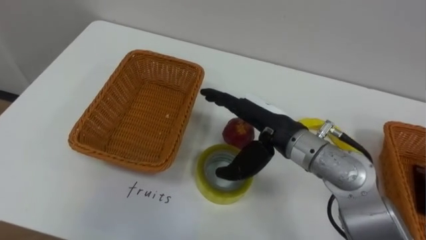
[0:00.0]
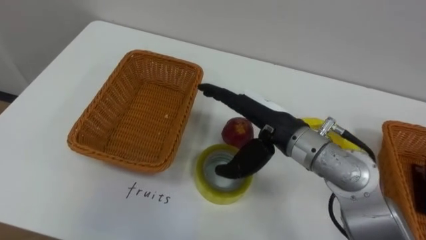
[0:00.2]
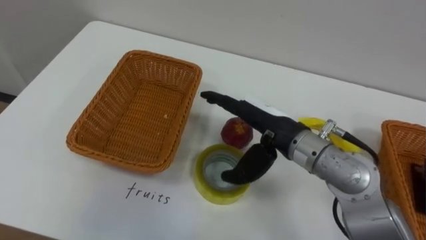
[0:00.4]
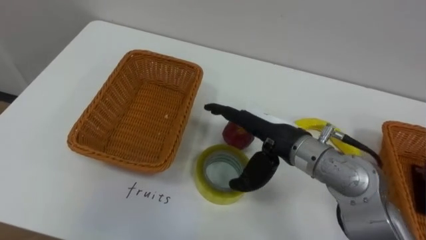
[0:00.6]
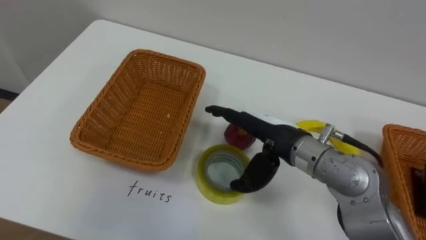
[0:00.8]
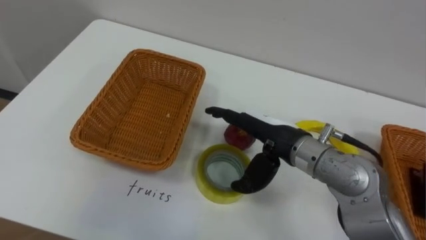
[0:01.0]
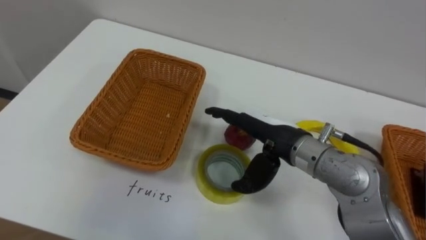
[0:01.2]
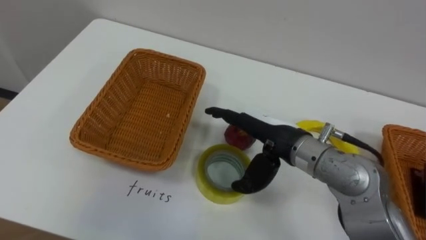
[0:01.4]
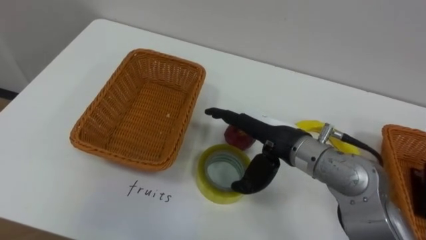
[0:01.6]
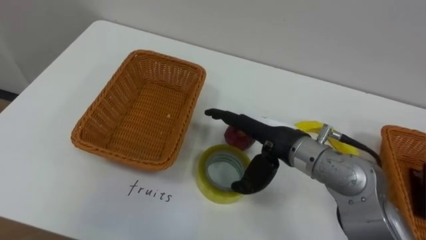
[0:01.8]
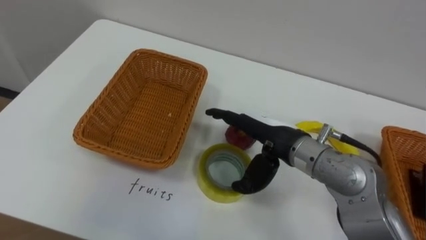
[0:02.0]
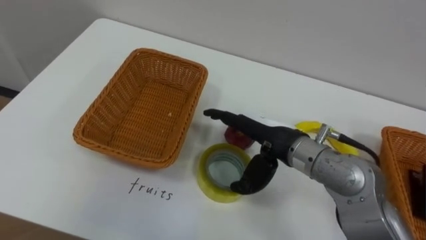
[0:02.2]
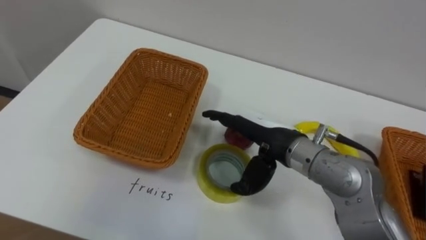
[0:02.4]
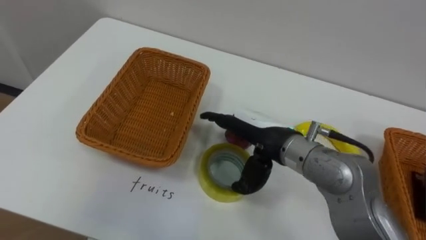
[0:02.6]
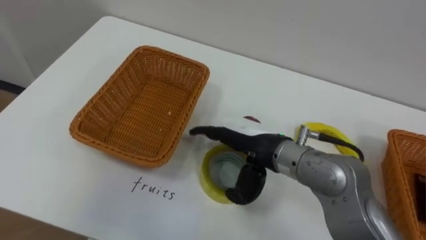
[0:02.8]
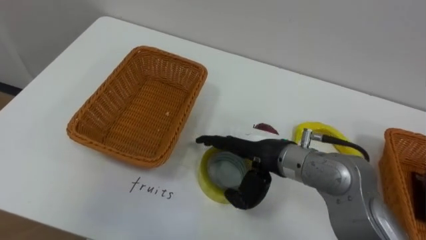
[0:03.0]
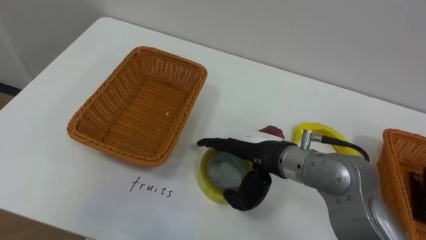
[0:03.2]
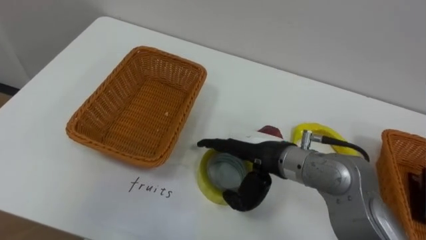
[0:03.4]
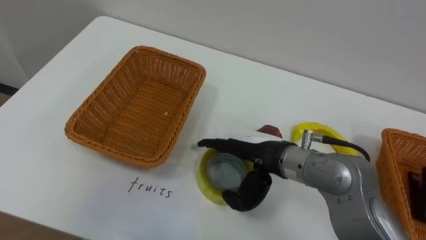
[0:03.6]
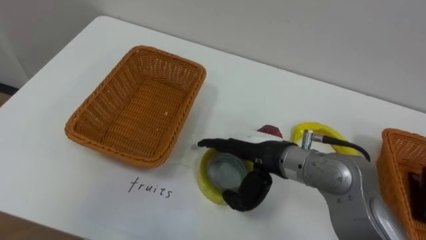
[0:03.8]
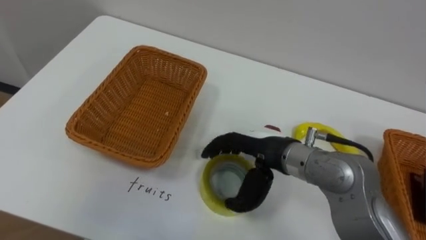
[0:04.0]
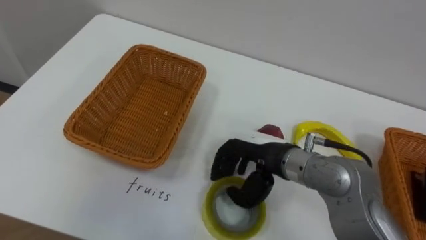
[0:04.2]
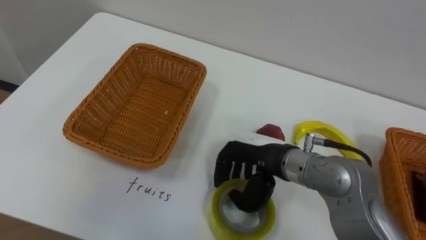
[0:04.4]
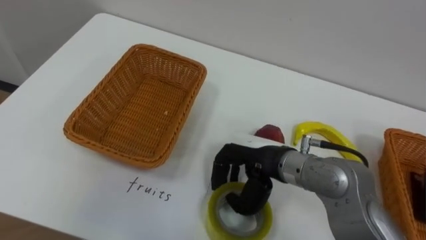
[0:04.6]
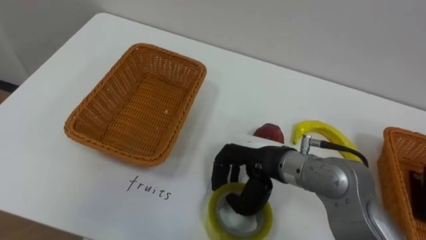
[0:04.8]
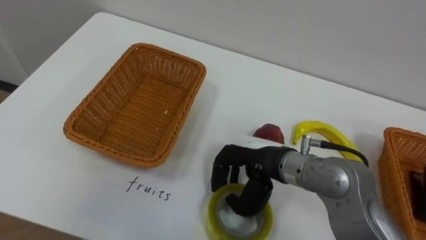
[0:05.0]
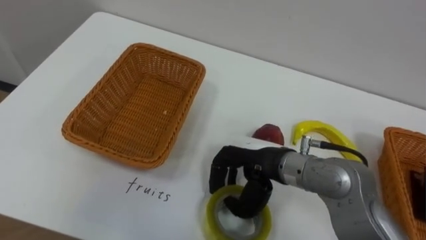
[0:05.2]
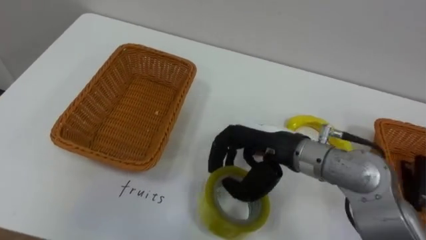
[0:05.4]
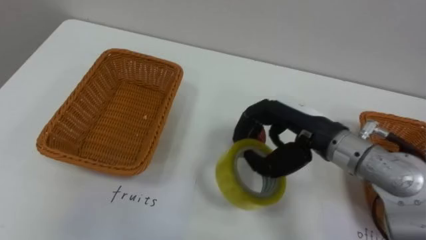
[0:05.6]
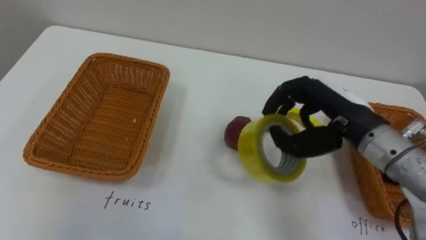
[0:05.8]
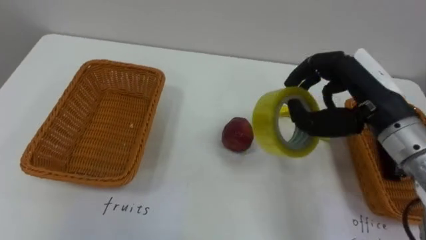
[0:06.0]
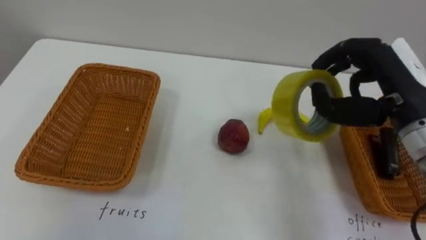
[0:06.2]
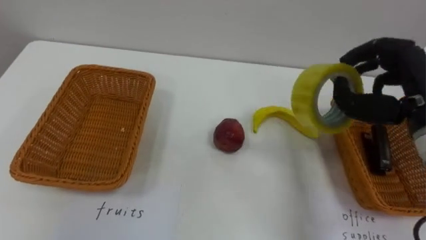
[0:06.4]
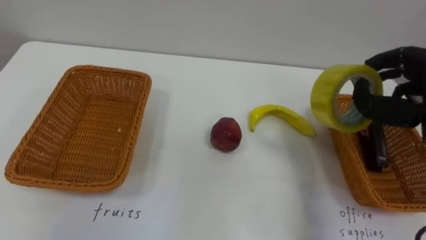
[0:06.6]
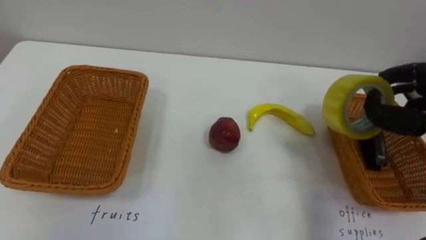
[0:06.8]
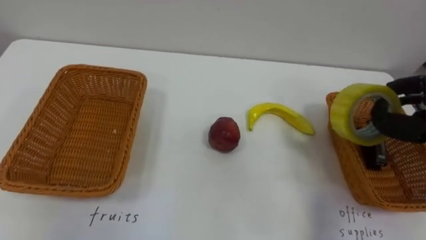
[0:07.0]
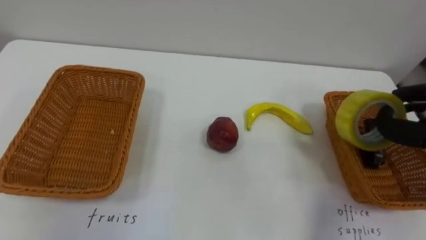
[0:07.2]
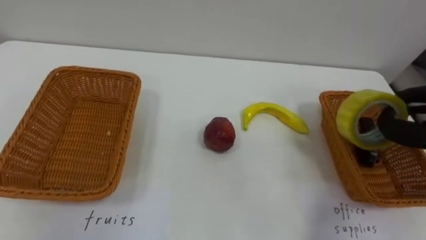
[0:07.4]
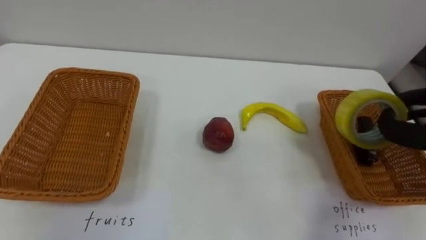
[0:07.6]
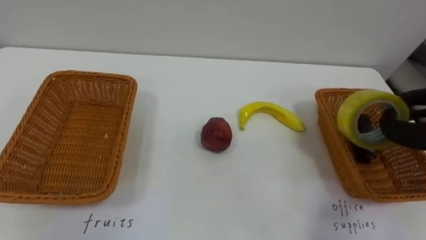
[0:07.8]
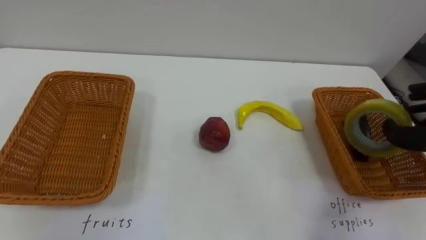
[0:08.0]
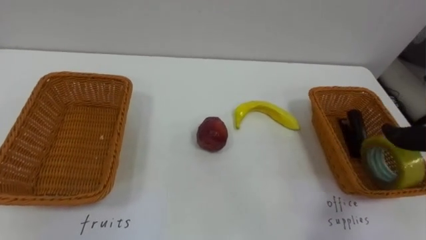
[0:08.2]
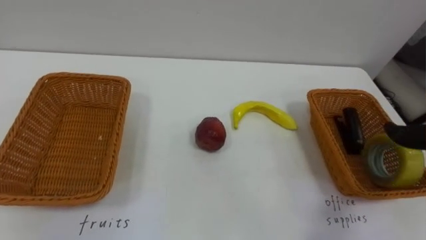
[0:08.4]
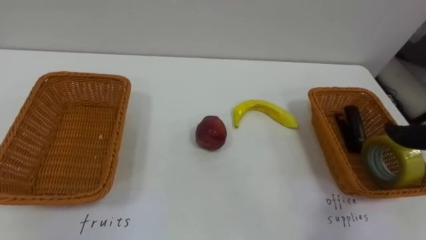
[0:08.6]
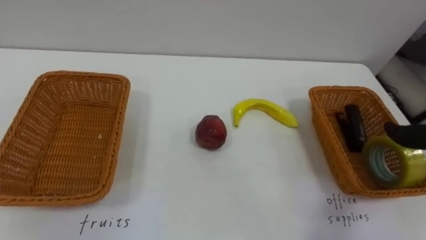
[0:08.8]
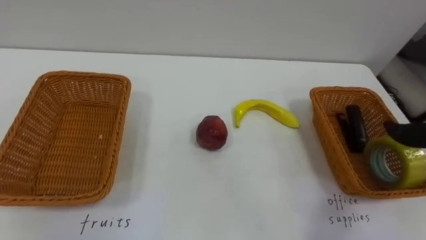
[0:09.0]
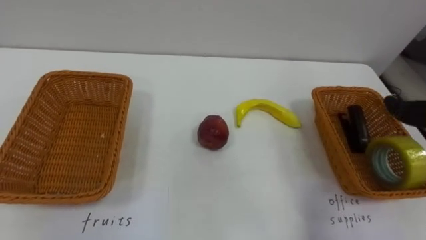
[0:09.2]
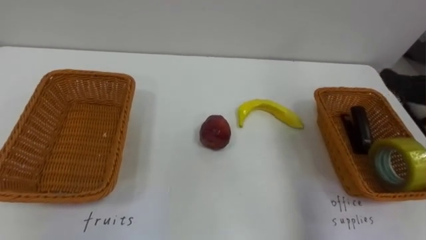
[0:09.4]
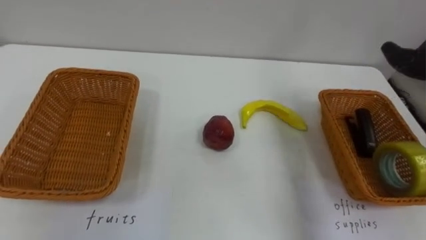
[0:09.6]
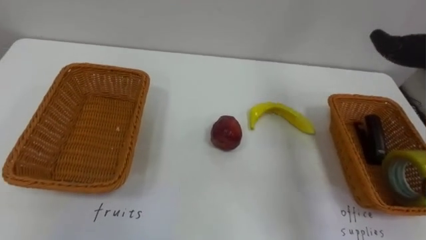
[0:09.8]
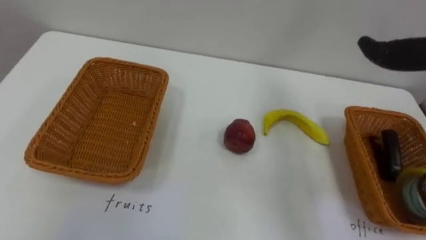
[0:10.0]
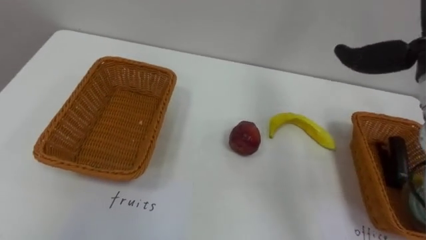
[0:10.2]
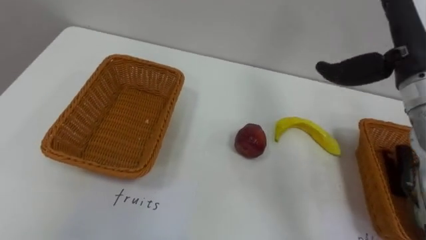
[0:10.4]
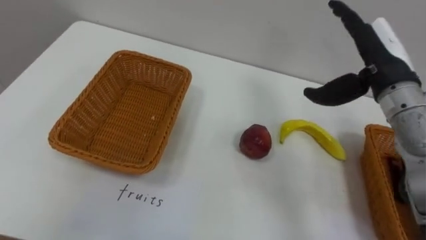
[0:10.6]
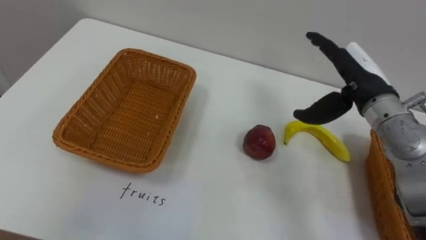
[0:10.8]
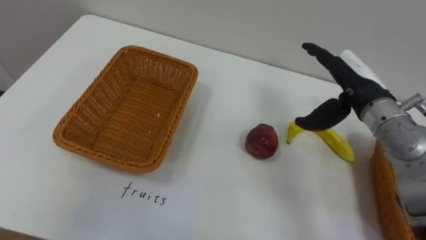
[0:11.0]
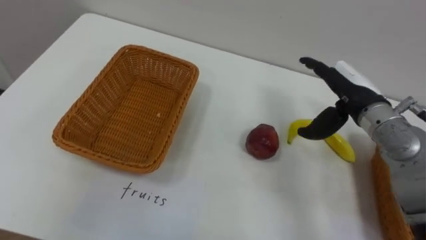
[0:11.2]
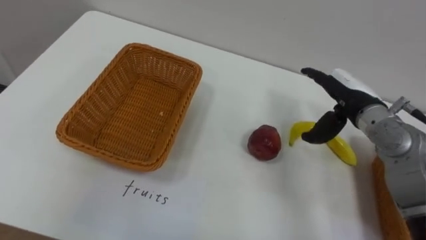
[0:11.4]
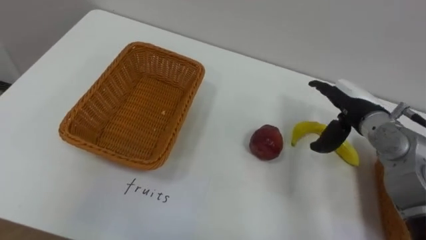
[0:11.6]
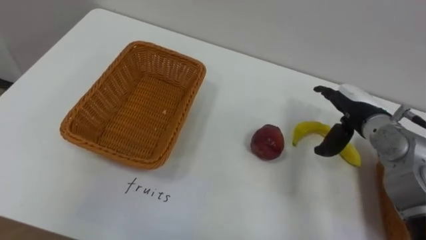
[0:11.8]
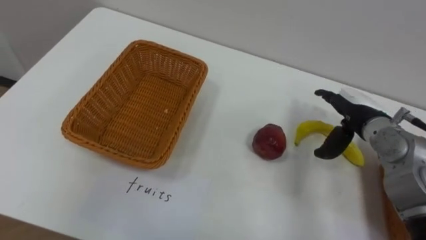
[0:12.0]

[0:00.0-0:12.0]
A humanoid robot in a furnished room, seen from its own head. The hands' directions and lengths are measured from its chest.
Task of the whole recording: Separate the items on the table and place them into the two baskets.
0:03.0 to 0:04.4: The right hand closes its fingers.
0:04.4 to 0:06.0: The right hand travels to the right and upward by approximately 15 cm.
0:10.4 to 0:12.0: The right hand is displaced downward by some 15 cm.

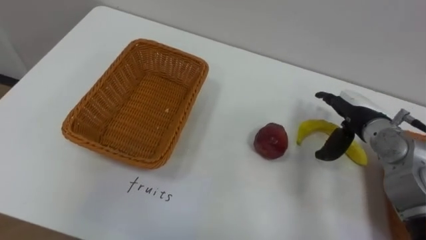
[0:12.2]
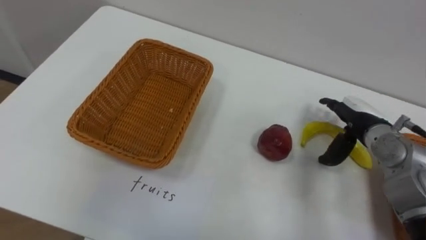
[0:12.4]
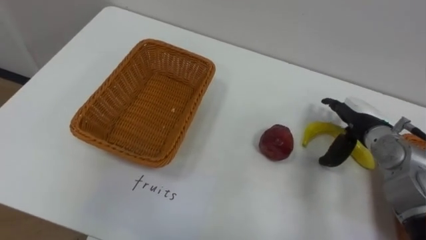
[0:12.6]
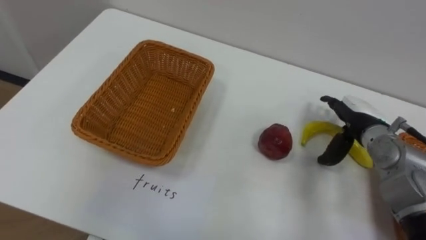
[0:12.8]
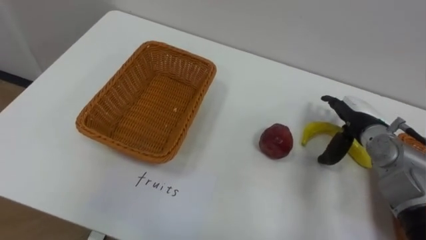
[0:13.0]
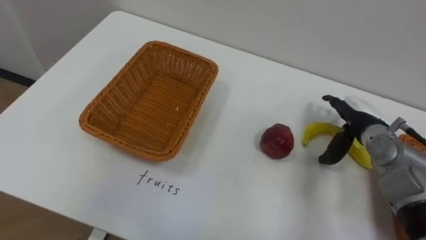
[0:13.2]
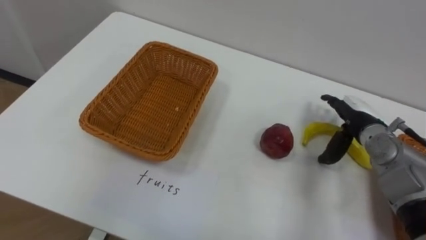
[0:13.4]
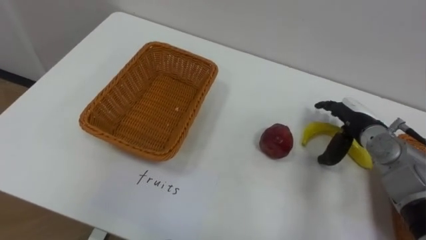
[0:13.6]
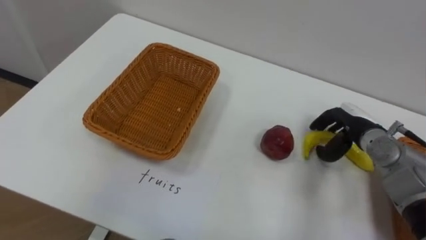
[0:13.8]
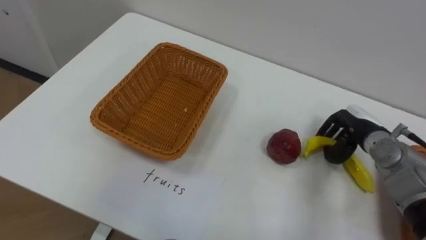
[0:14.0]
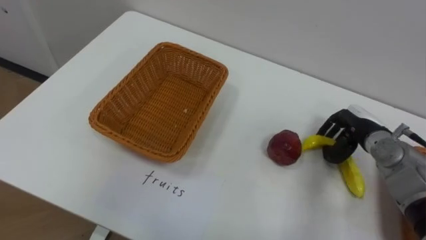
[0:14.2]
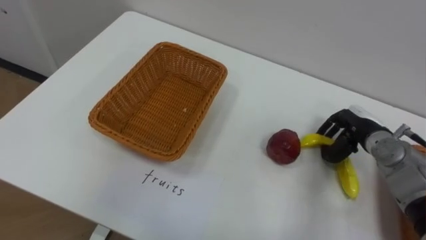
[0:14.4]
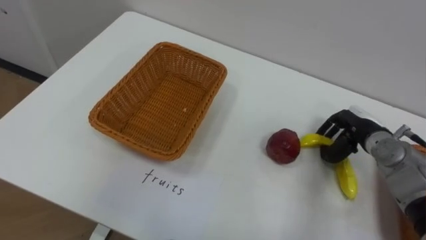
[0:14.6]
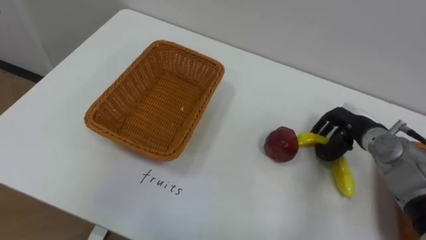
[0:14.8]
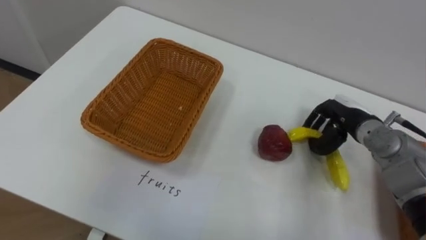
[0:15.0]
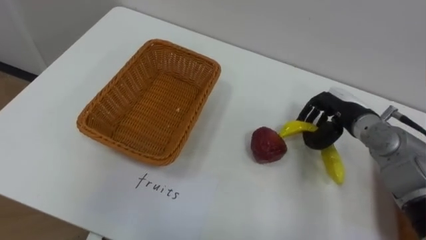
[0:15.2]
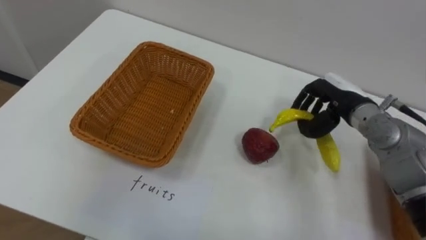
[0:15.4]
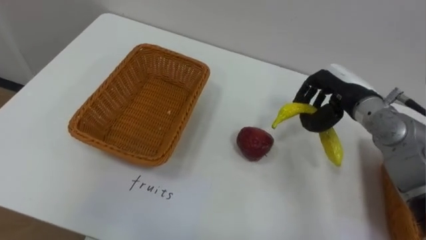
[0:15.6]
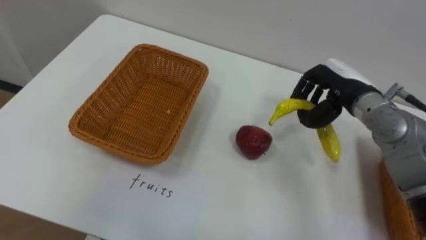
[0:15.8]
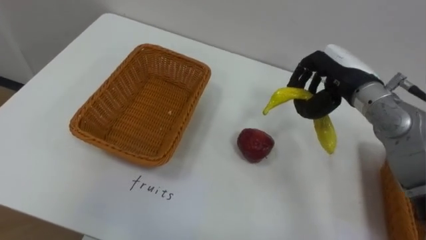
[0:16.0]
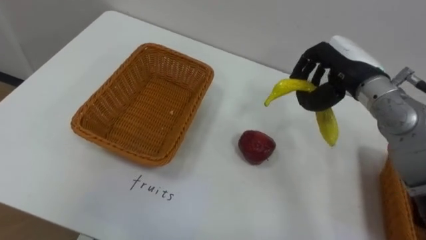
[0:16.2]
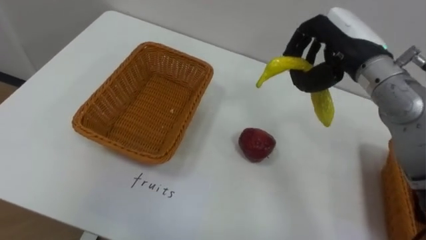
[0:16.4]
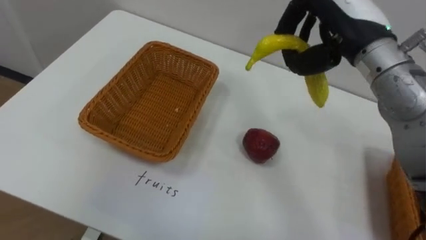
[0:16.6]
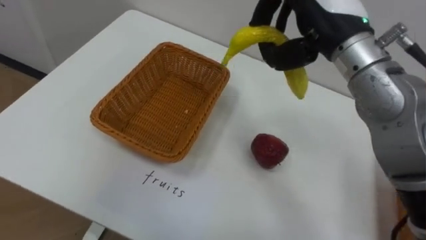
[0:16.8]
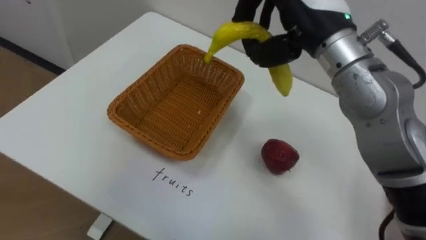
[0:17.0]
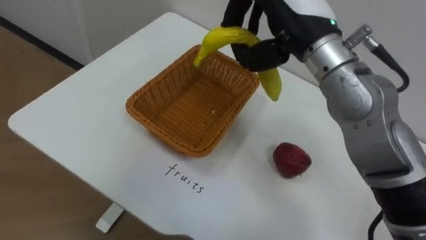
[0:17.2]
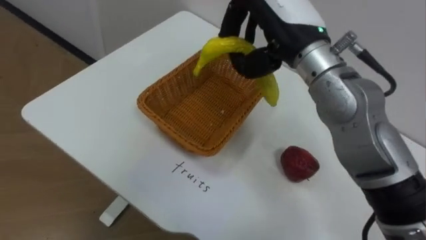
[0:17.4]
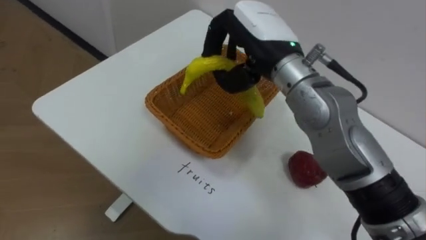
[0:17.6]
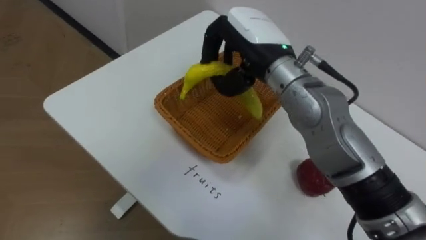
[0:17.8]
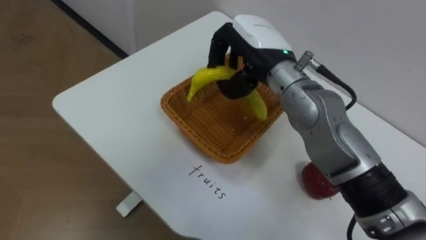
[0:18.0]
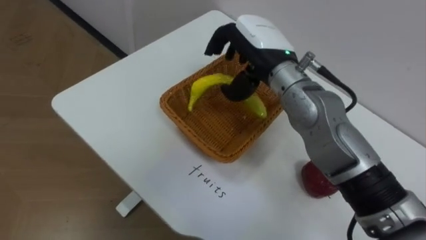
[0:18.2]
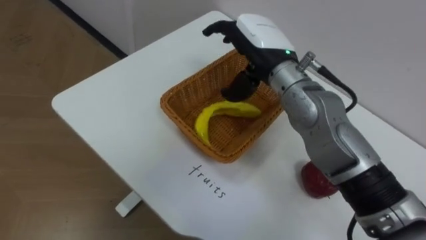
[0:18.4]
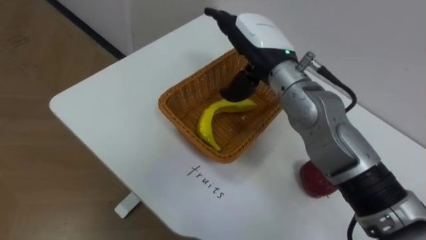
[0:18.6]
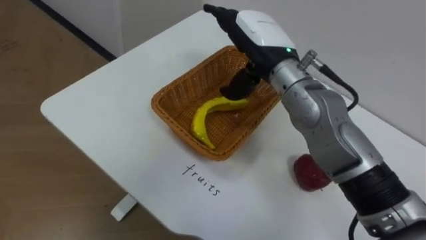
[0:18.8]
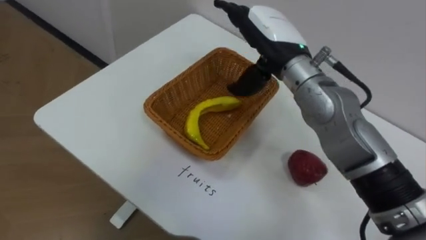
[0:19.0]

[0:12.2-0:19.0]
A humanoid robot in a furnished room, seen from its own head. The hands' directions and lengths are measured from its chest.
Task of the whole recording: Separate the items on the table and place them into the two baskets.
0:13.6 to 0:15.0: The right hand closes up.
0:15.0 to 0:16.2: The right hand heads upward, covering about 10 cm.
0:16.2 to 0:17.6: The right hand shifts approximately 15 cm to the left and upward.
0:17.6 to 0:19.0: The right hand opens.
